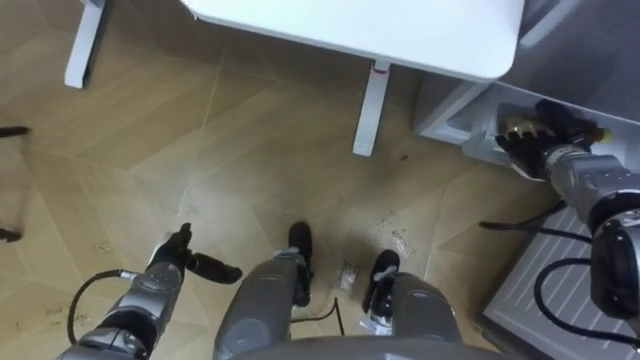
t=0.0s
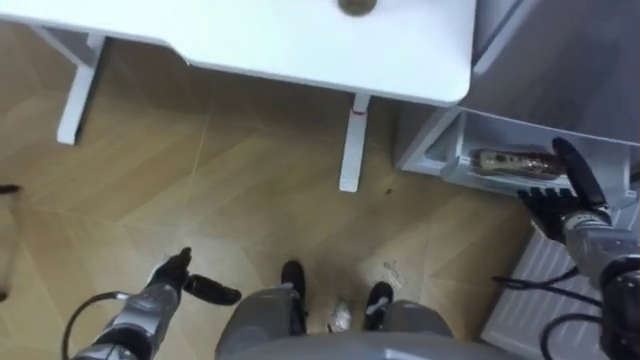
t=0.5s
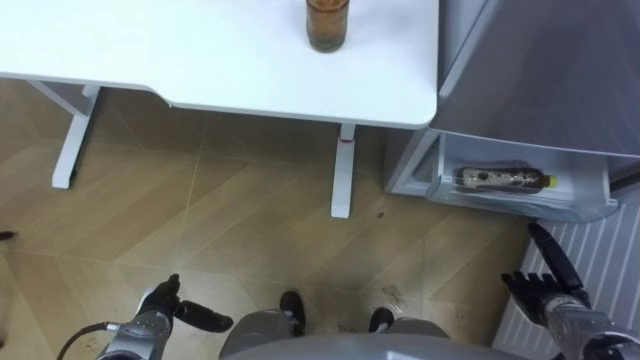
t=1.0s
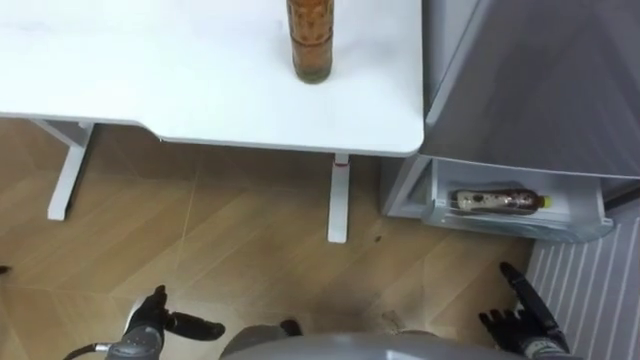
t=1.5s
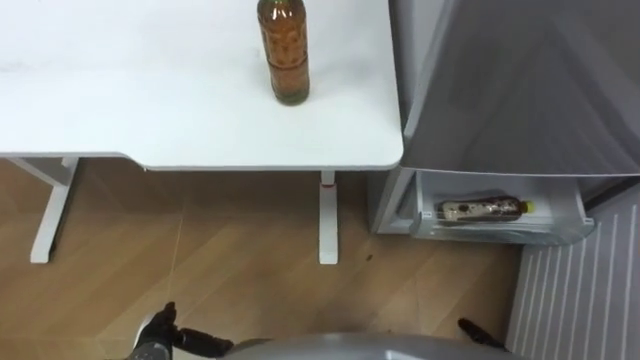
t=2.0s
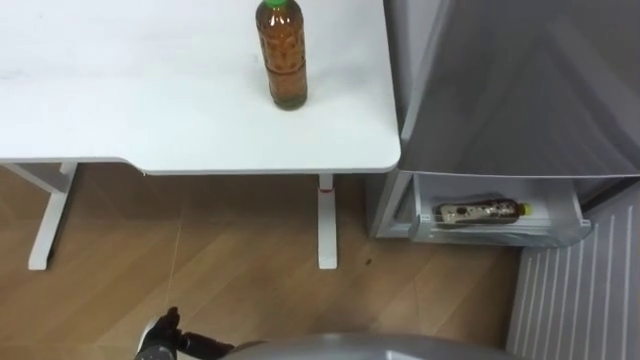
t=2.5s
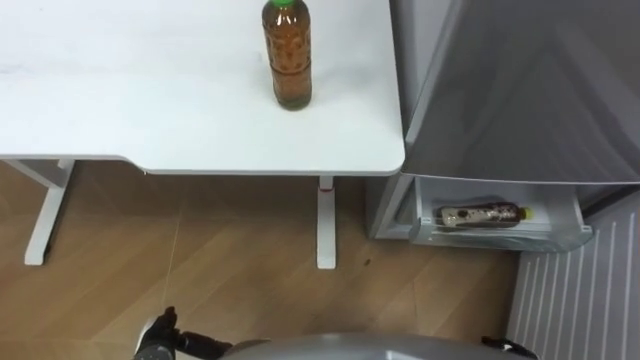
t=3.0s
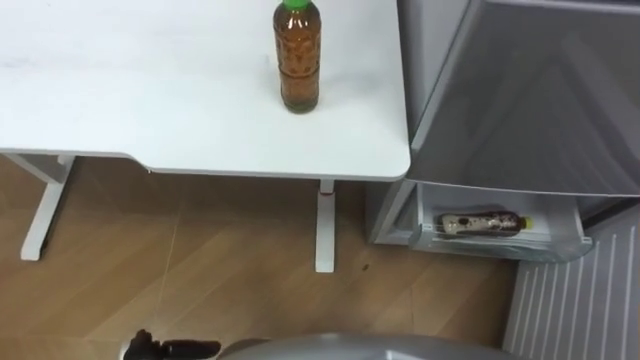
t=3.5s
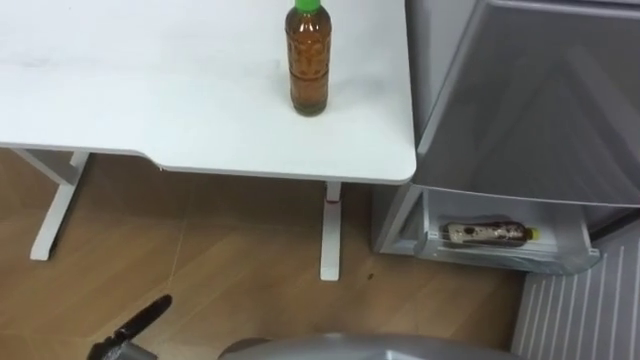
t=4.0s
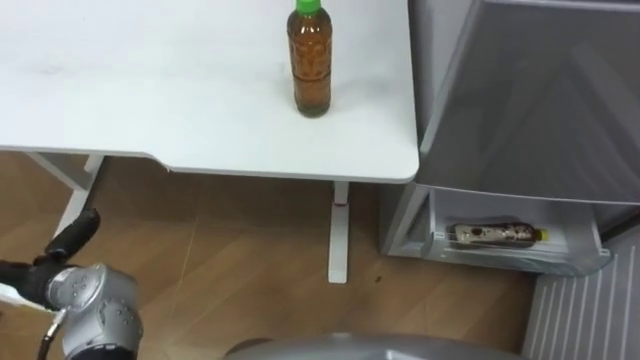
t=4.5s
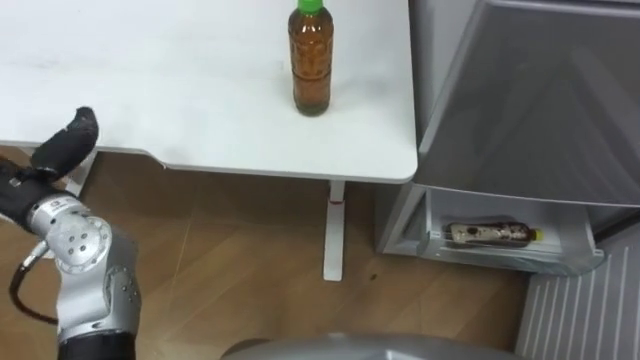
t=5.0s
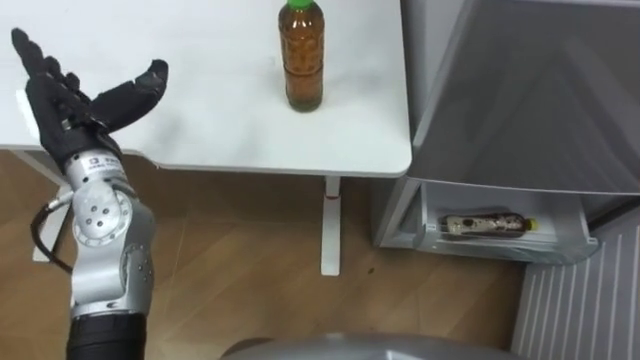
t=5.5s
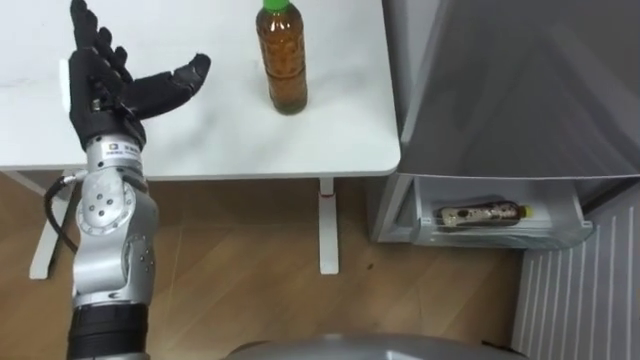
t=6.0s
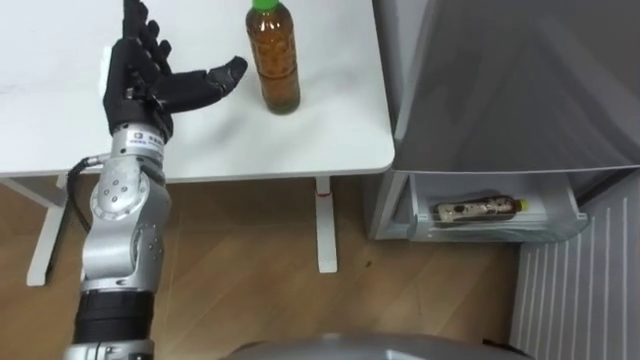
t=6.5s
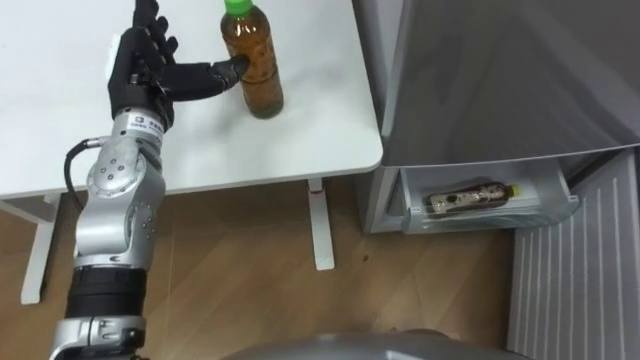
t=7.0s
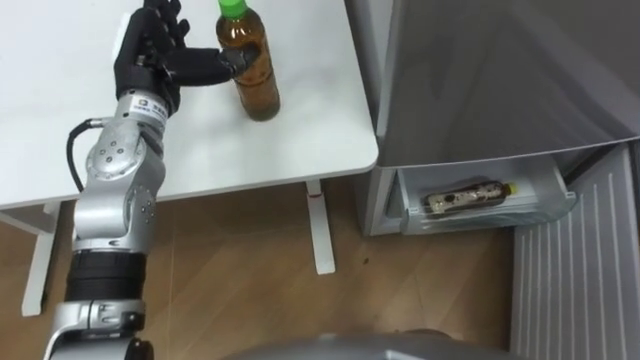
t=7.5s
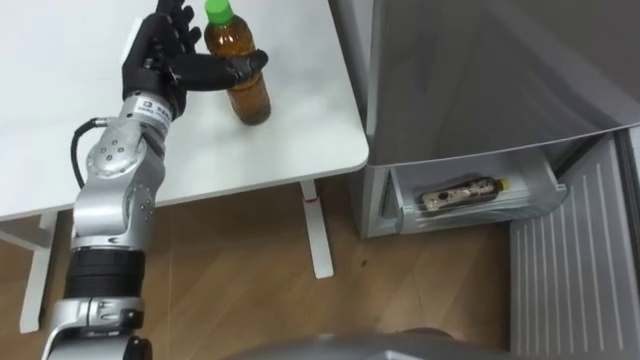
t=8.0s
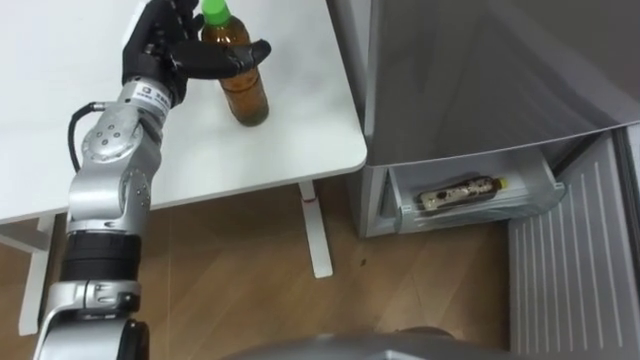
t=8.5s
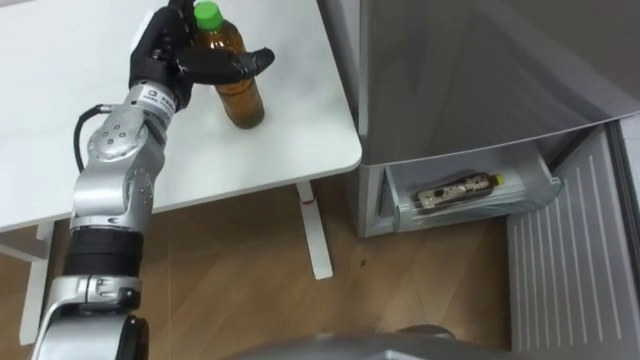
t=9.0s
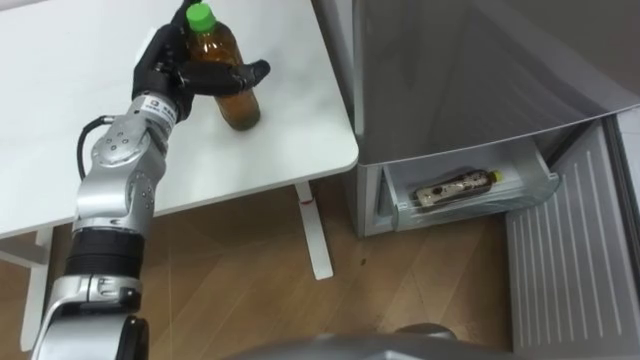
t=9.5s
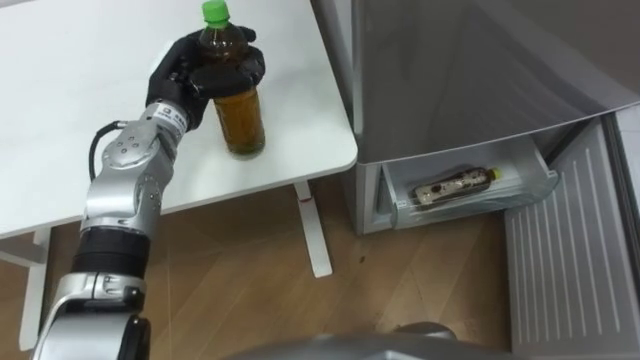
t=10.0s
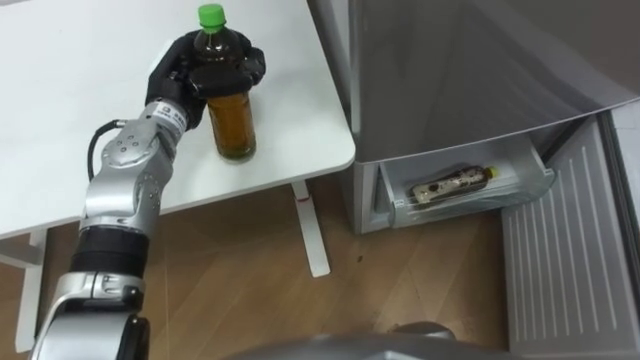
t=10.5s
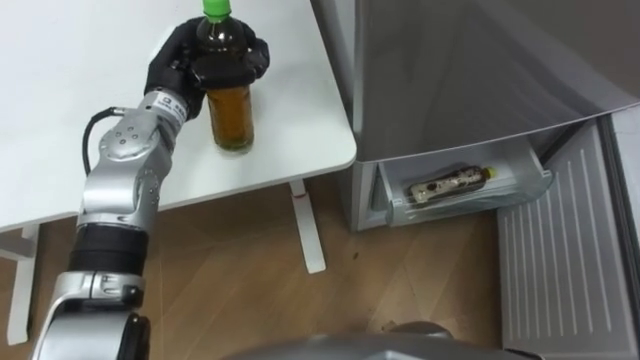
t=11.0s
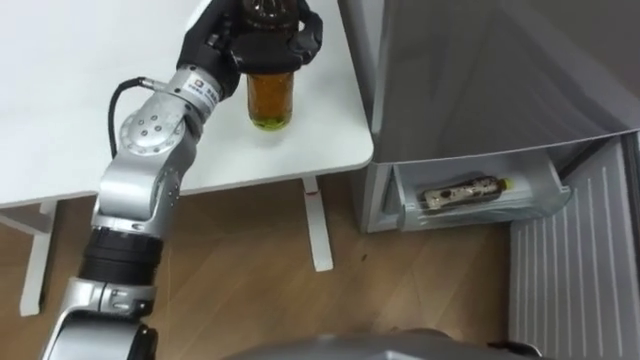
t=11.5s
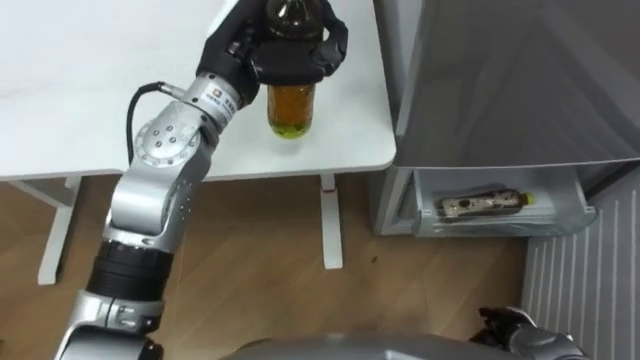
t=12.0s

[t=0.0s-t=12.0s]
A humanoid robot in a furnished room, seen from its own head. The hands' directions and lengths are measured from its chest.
Task of the whole recording: Place the drink on the table on the bottom shelf of the refrigerator, then close the drawer and the refrigerator door.
t=0.0s to t=2.0s: The left hand travels backward by some 10 cm.
t=6.0s to t=8.0s: The left hand goes about 5 cm to the right and forward.
t=8.0s to t=10.0s: The left hand closes its fingers.
t=10.0s to t=12.0s: The left hand moves to the right and upward, roughly 10 cm.

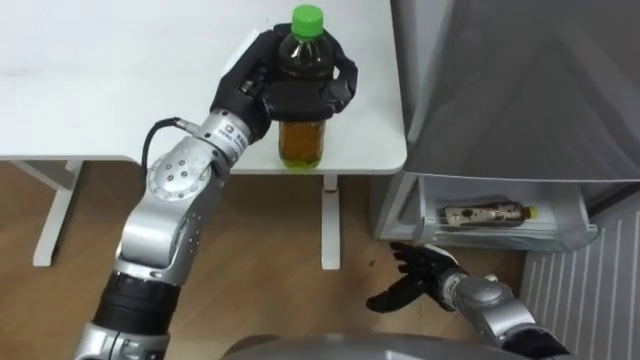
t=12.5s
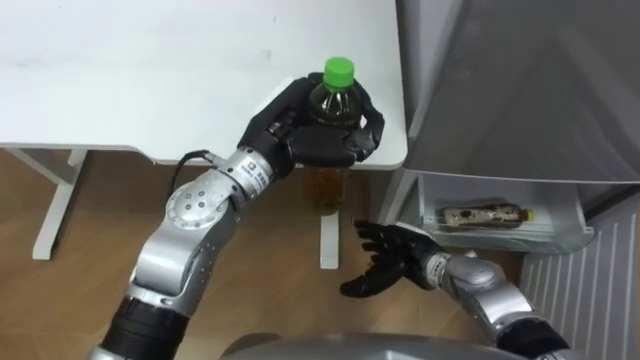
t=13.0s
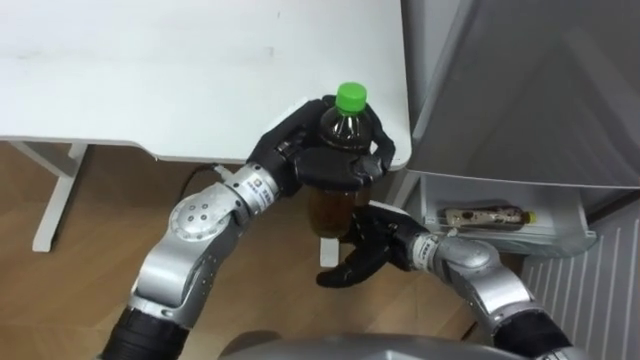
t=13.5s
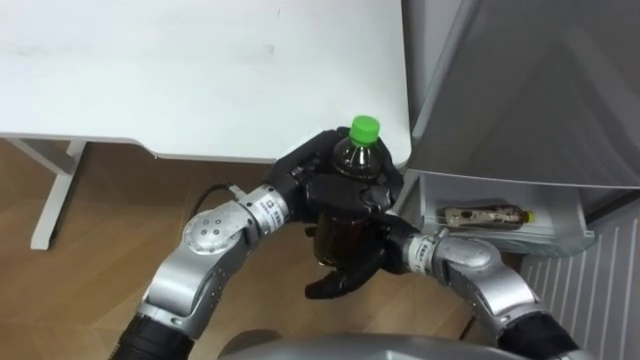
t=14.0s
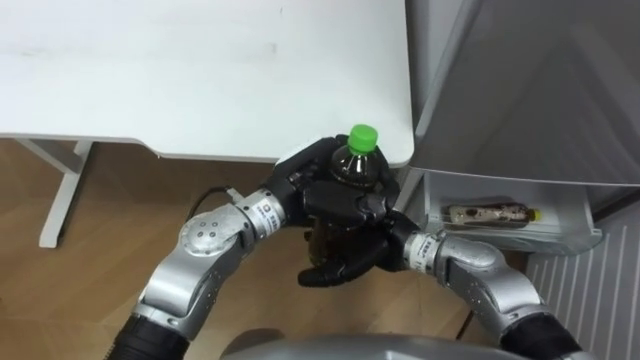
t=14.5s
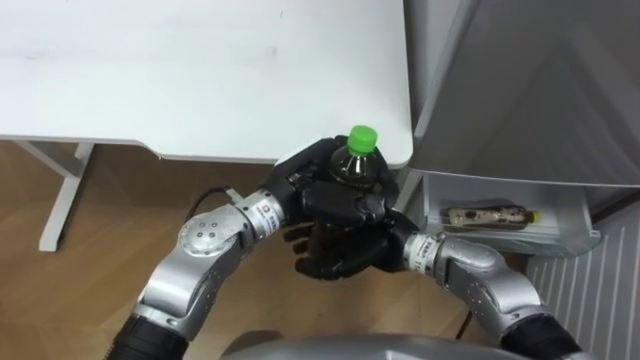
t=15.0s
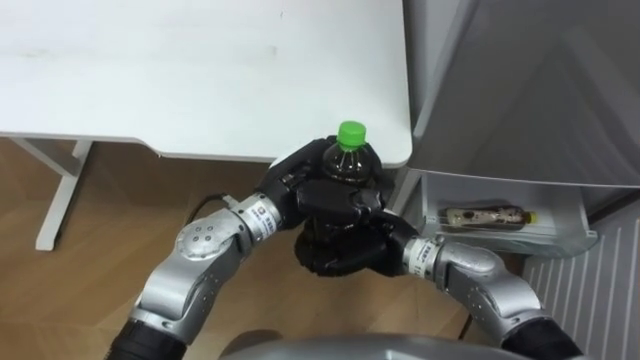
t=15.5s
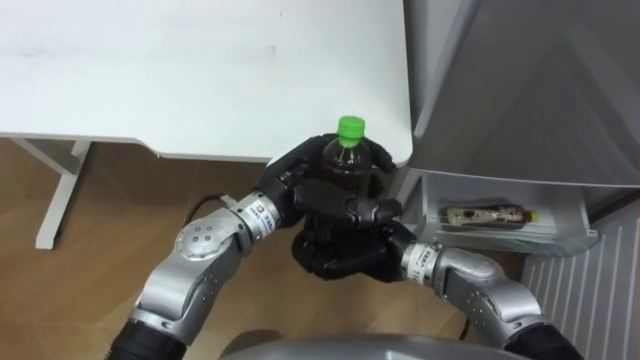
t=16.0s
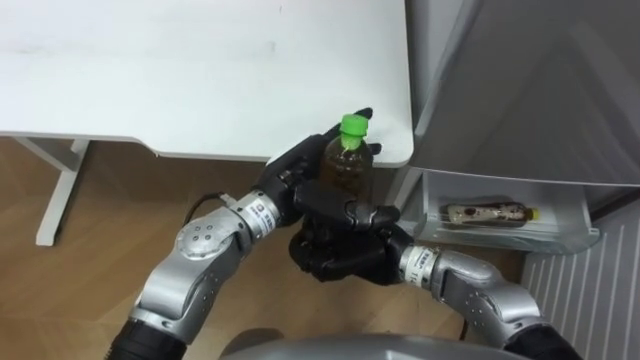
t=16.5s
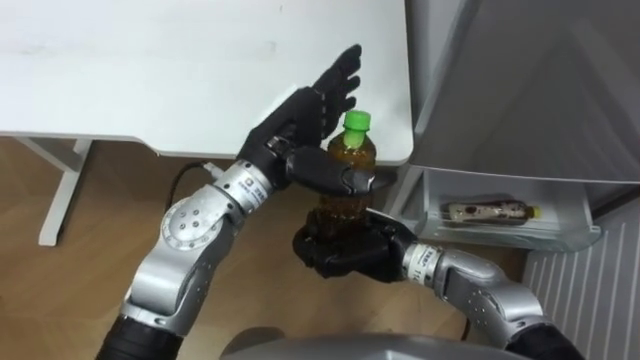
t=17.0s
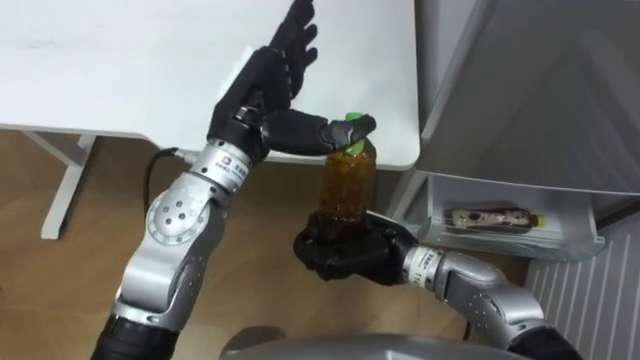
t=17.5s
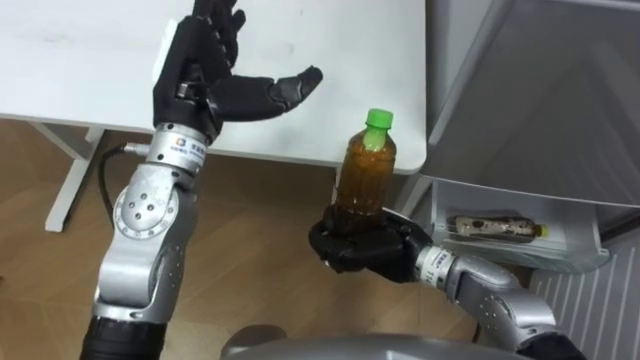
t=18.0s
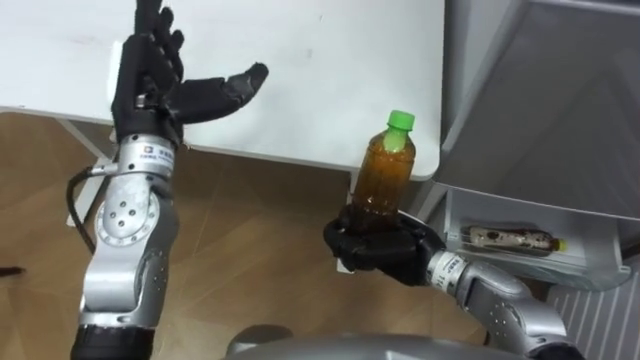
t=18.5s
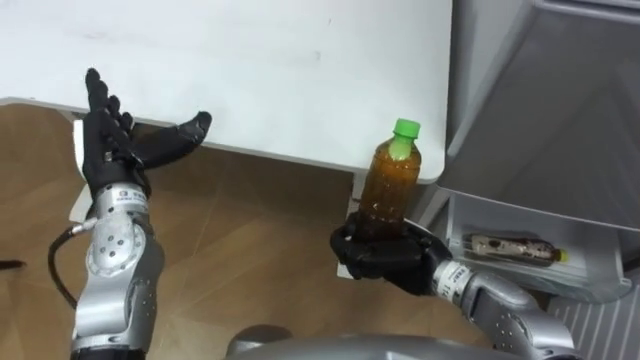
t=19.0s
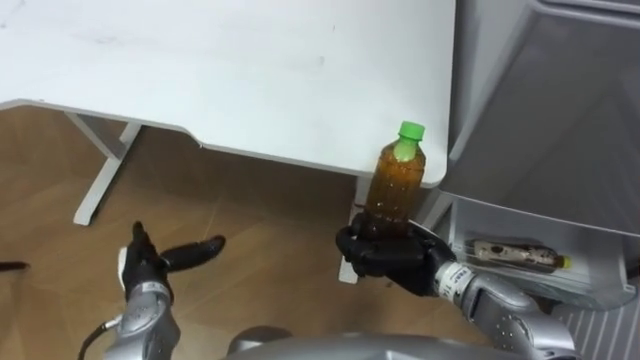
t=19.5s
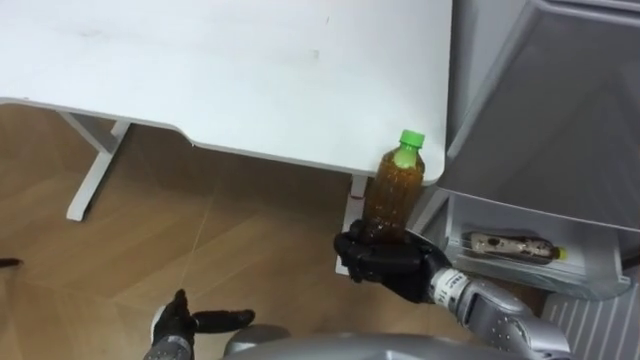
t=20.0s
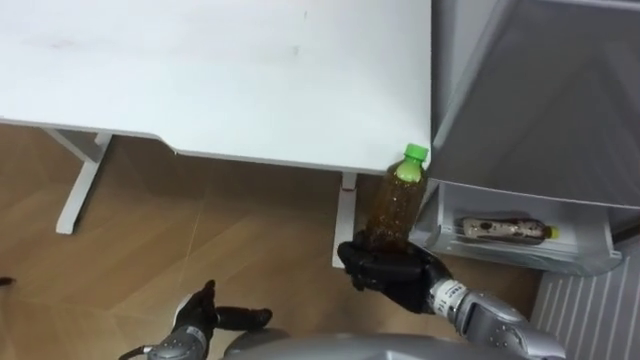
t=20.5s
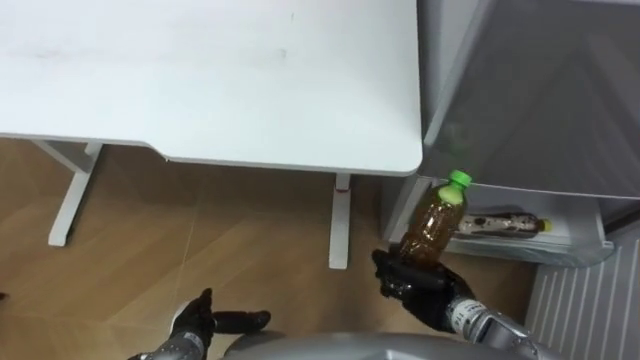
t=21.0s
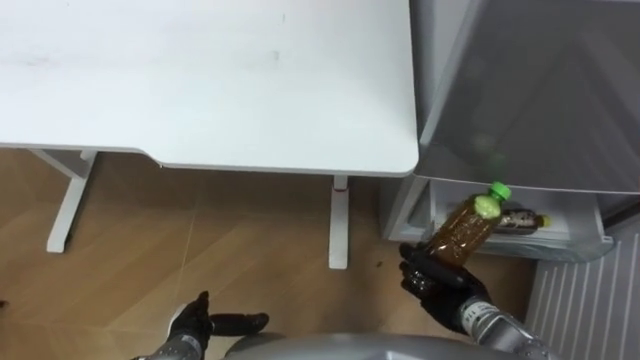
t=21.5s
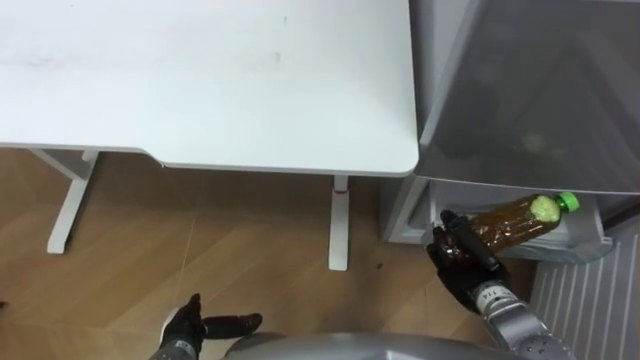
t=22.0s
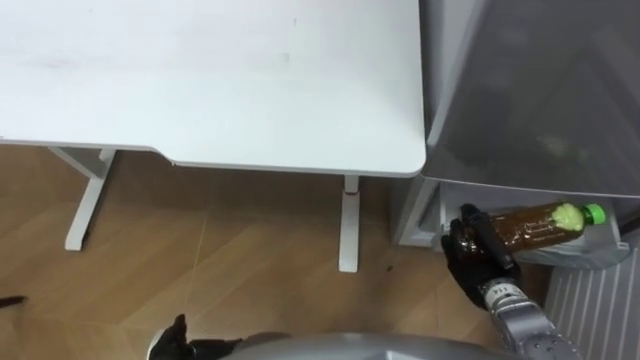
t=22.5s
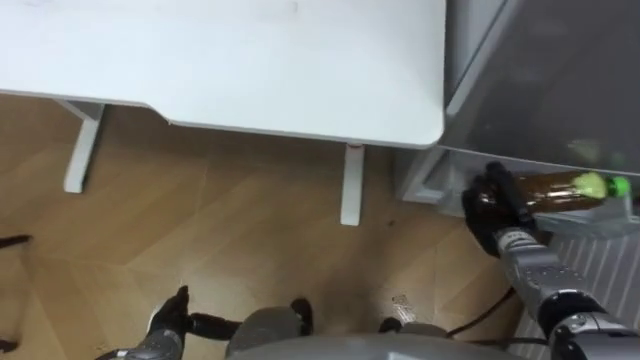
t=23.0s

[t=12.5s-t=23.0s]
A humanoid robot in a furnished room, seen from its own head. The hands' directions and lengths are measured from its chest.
Task of the whole recording: Place the drink on the table on the bottom shelf of the refrigerator, then close the drawer and the refrigerator door.
t=12.5s to t=14.5s: The right hand goes about 15 cm upward and to the left; the left hand goes approximately 10 cm downward, backward and to the right.
t=14.5s to t=16.5s: The left hand opens up, while the right hand closes its fingers.
t=16.5s to t=19.0s: The left hand shifts approximately 20 cm to the left. Meanwhile the right hand goes some 5 cm to the right.
t=19.0s to t=21.0s: The left hand travels downward and backward by approximately 30 cm, while the right hand moves downward, approximately 5 cm.
t=21.0s to t=23.0s: The right hand is displaced to the right and forward by some 15 cm.
